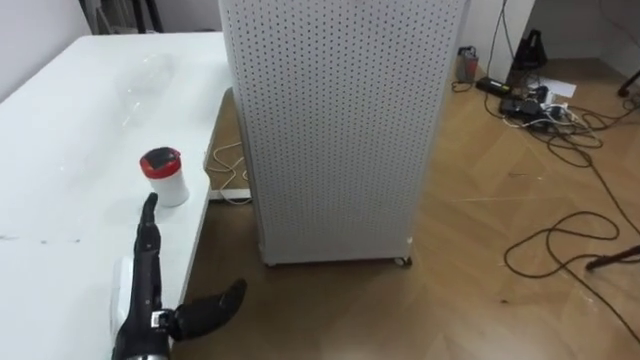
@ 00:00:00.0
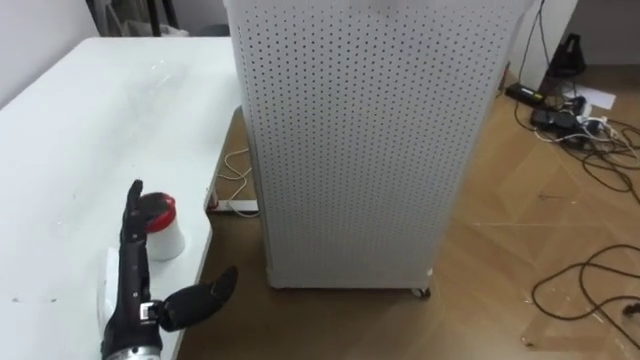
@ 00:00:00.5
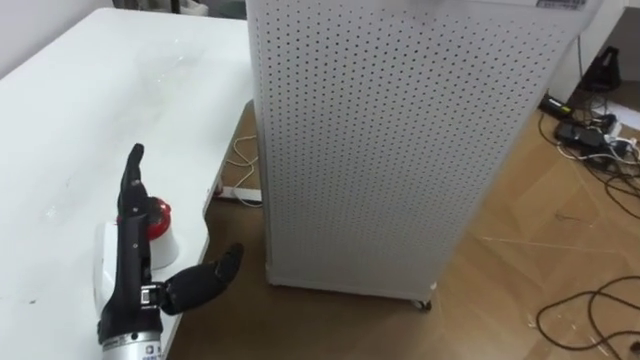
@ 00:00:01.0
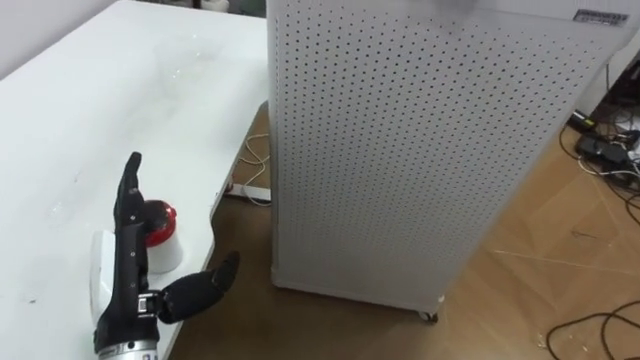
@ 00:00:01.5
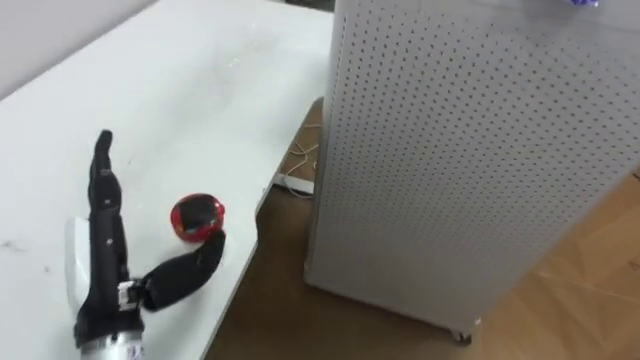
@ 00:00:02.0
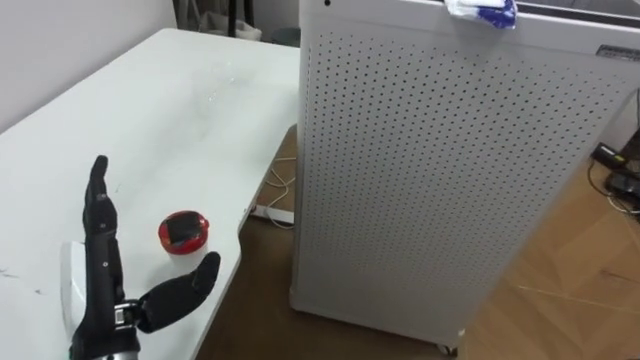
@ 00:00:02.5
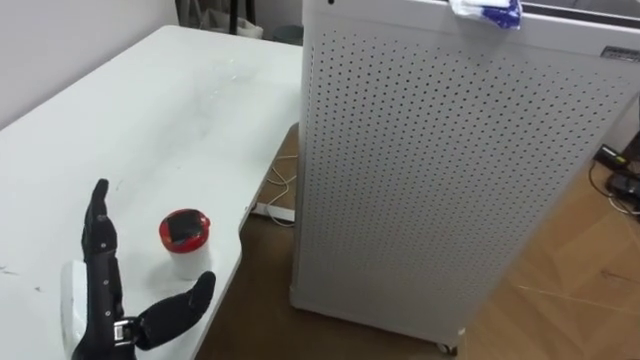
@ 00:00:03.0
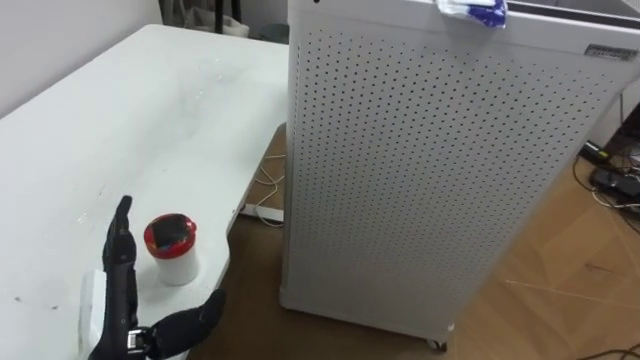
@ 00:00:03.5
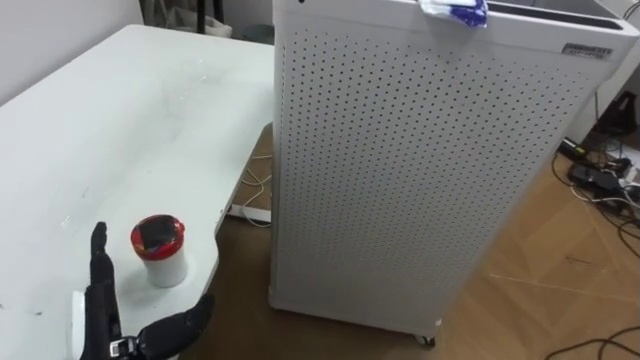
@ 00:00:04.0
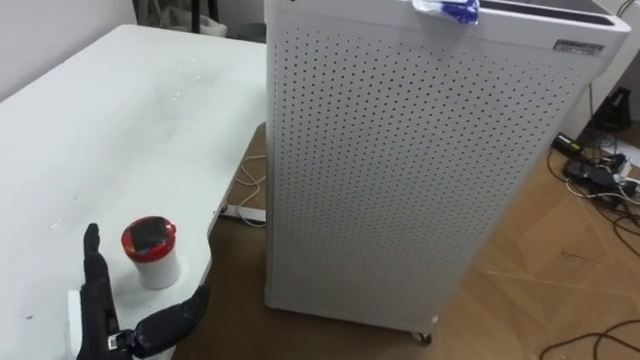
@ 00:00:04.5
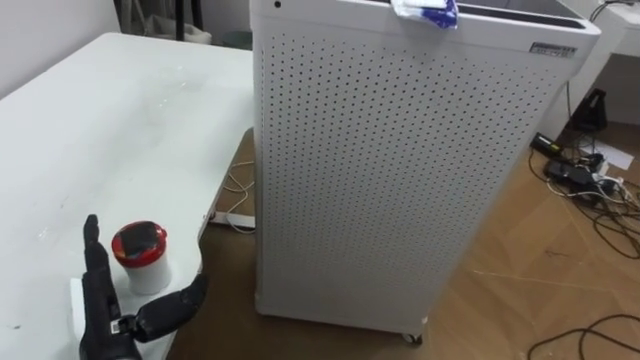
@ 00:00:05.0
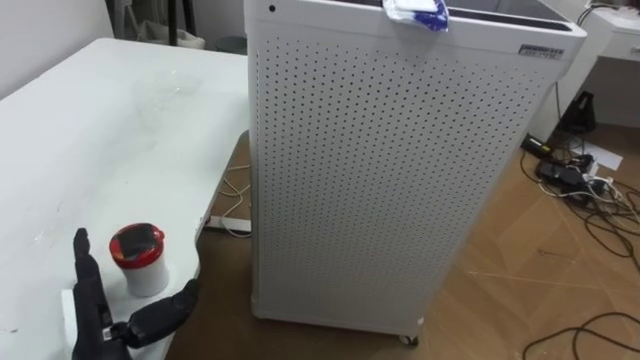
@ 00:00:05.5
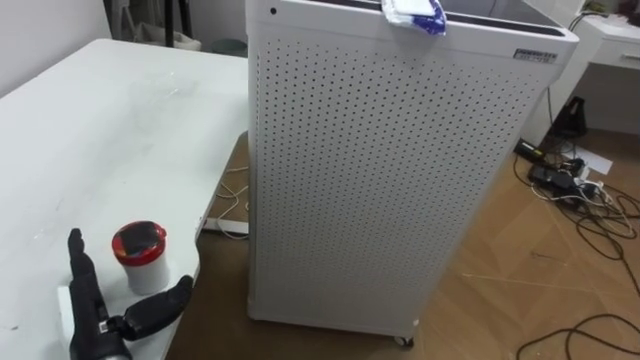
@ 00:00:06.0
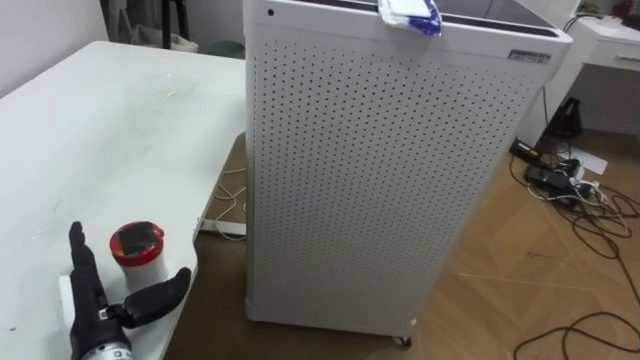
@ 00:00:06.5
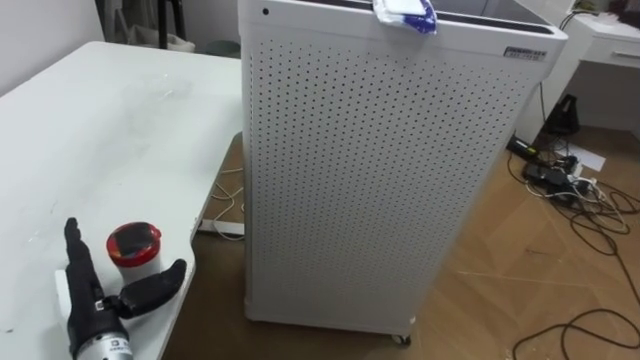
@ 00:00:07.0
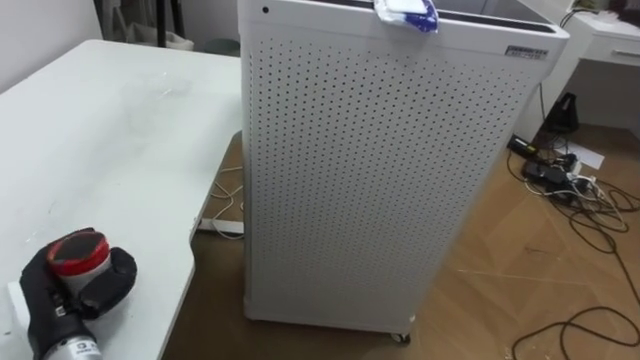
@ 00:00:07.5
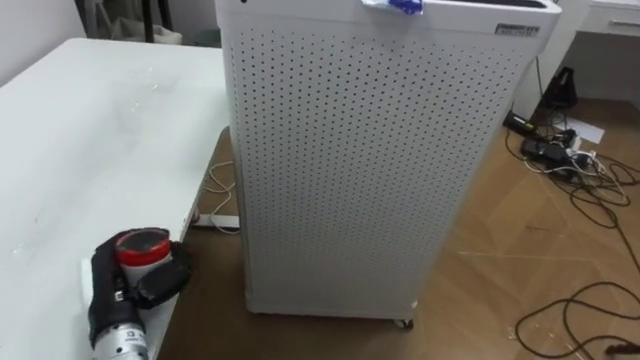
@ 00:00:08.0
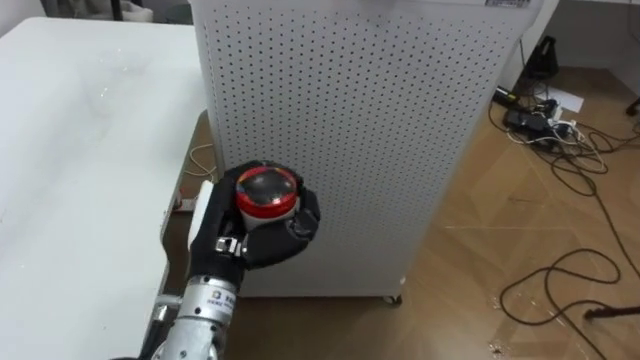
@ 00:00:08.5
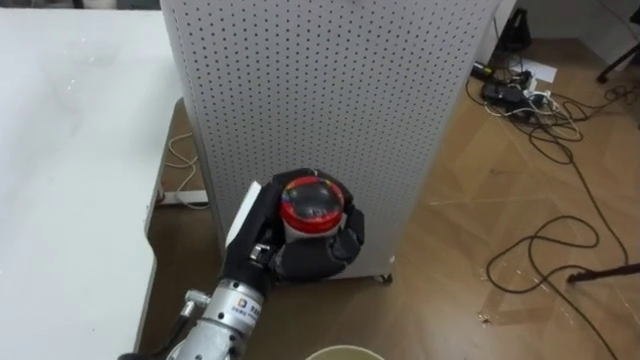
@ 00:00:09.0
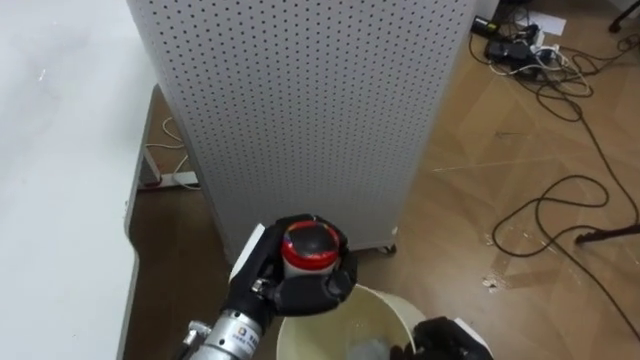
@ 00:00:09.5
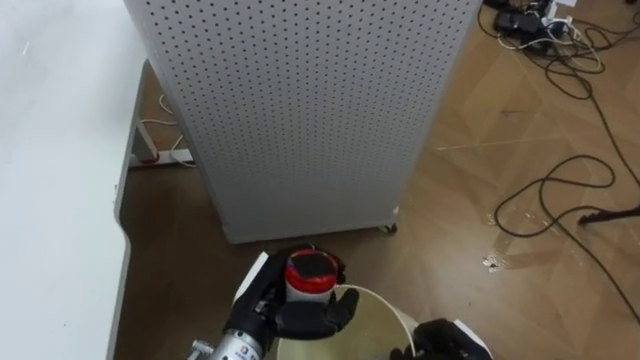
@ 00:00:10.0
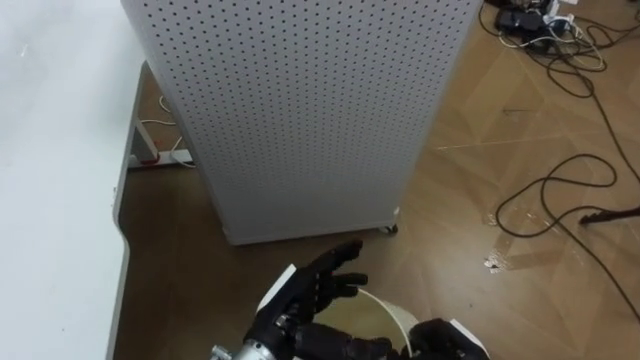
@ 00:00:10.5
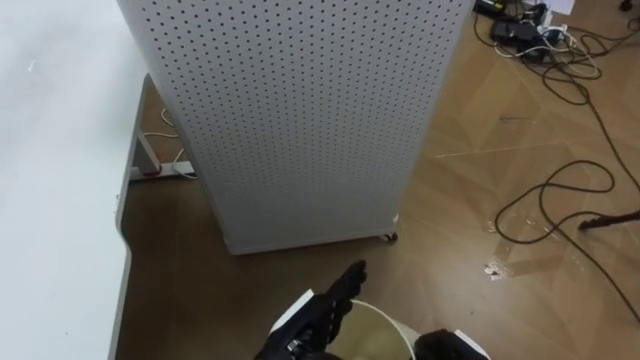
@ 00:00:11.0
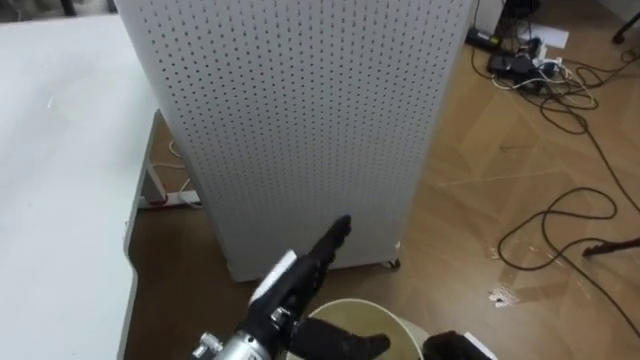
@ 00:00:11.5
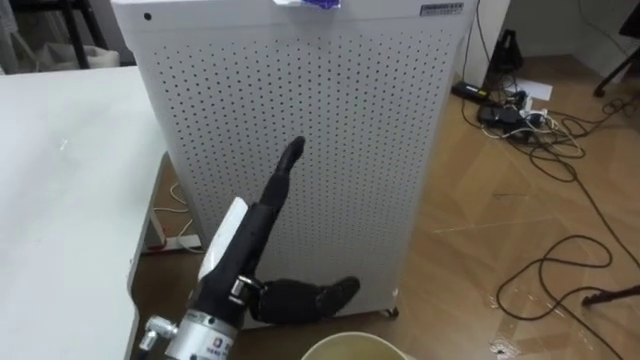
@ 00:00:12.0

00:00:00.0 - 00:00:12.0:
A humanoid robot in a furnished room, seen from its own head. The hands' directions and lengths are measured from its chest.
Task of the whole recording: Pick up the light blue package, the candy box, and the dark blue package separately, and put them into the trash can held in your right hand.
00:00:00.0 - 00:00:02.0: The left hand heads upward, covering some 10 cm.
00:00:02.0 - 00:00:04.0: The left hand heads downward, covering about 10 cm.
00:00:06.0 - 00:00:08.0: The left hand closes.
00:00:08.0 - 00:00:10.0: The left hand shifts about 20 cm to the right.
00:00:10.0 - 00:00:12.0: The left hand goes roughly 10 cm upward, and opens its fingers.

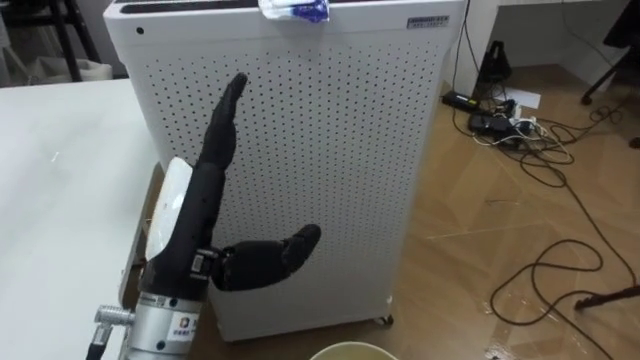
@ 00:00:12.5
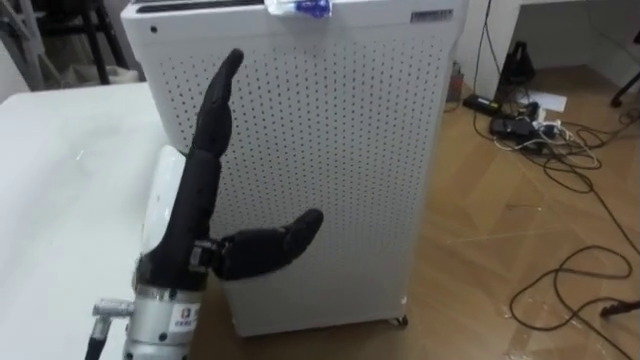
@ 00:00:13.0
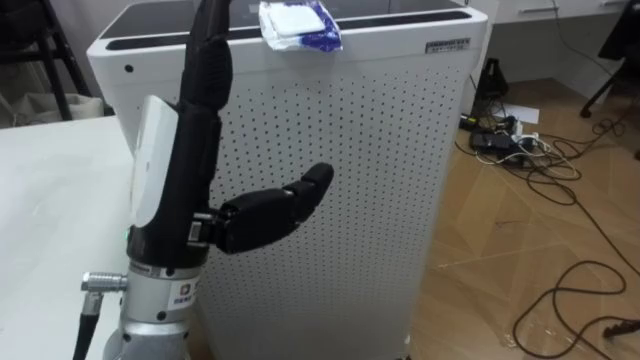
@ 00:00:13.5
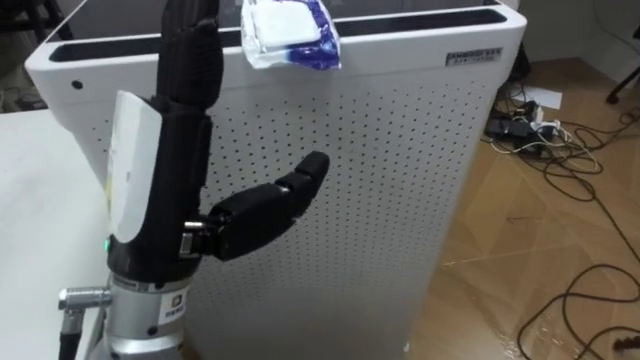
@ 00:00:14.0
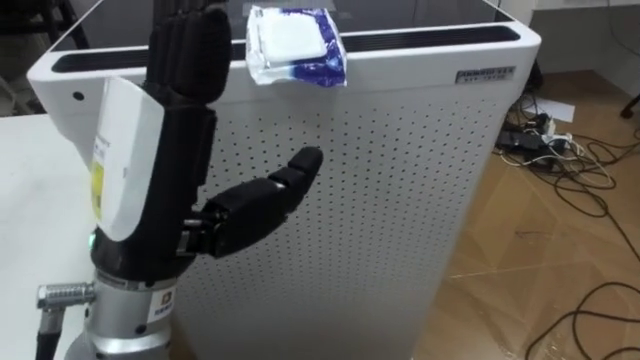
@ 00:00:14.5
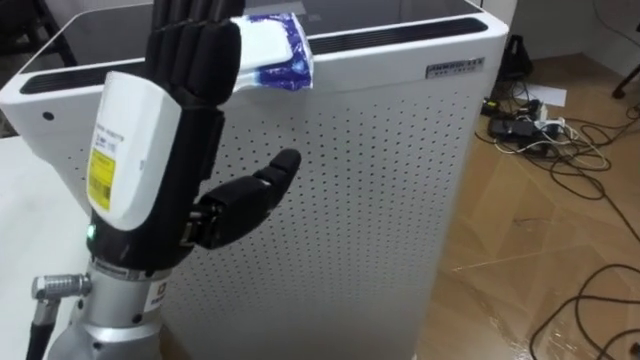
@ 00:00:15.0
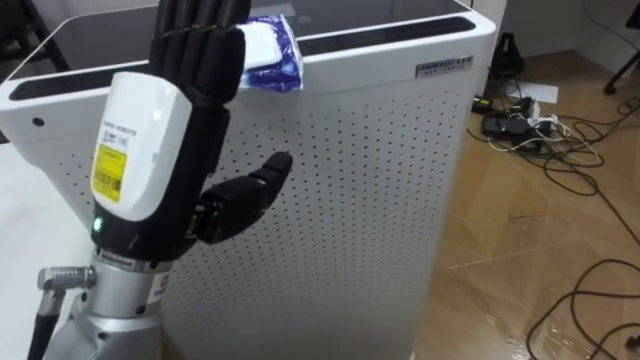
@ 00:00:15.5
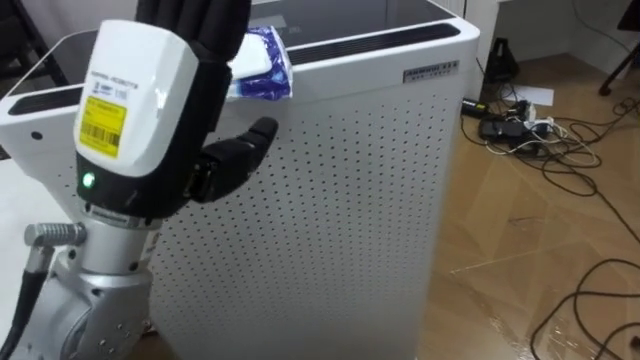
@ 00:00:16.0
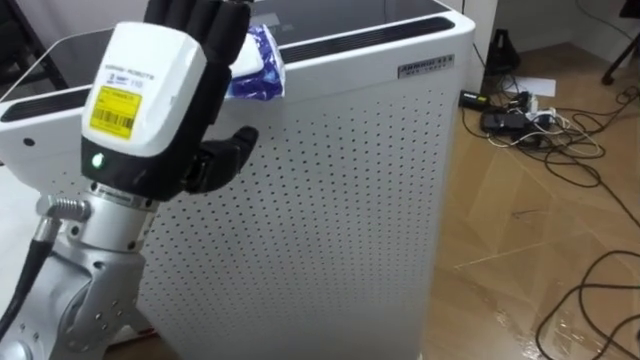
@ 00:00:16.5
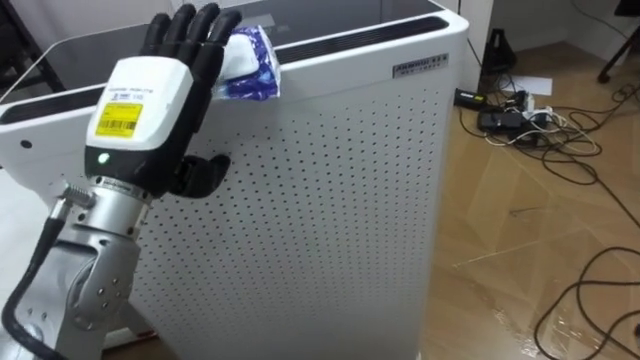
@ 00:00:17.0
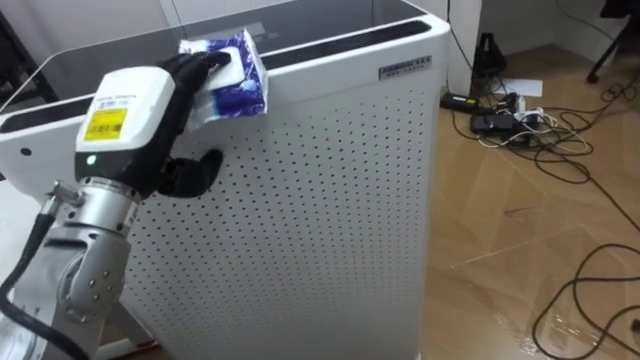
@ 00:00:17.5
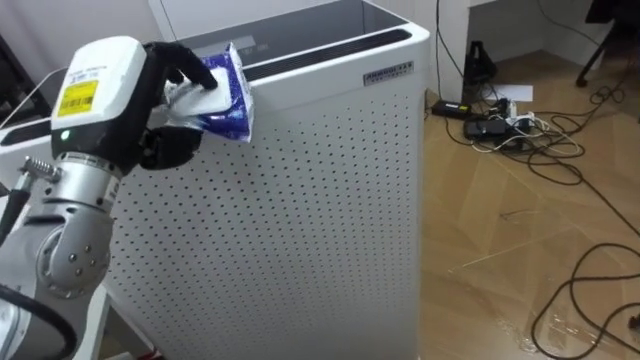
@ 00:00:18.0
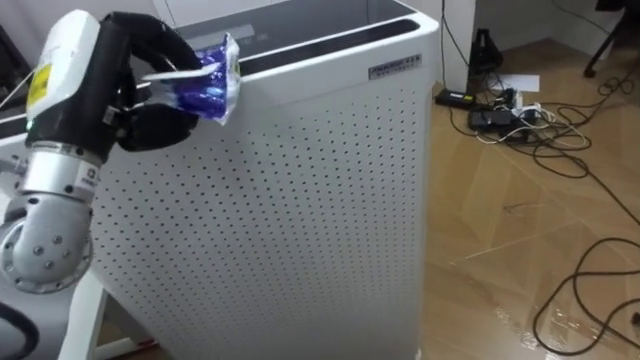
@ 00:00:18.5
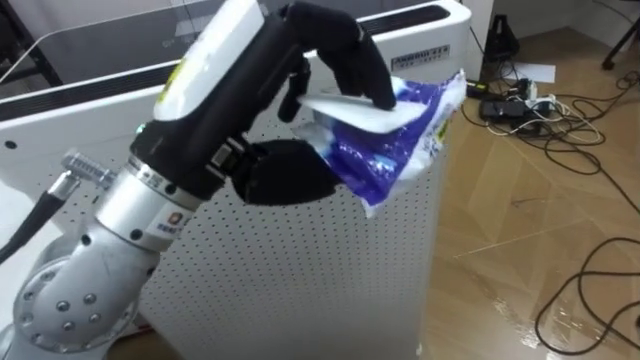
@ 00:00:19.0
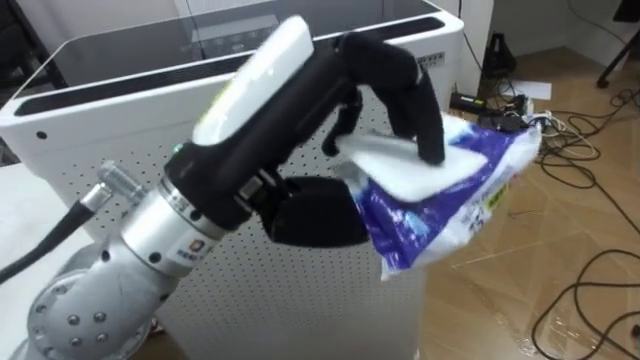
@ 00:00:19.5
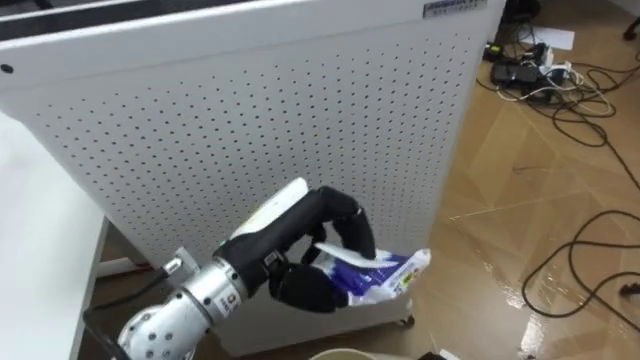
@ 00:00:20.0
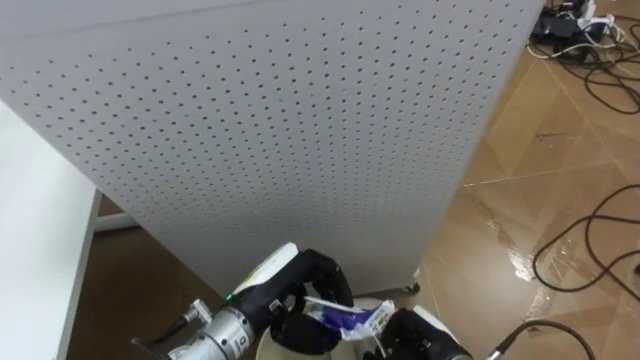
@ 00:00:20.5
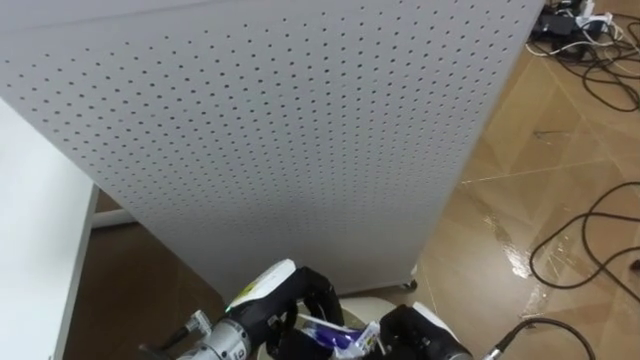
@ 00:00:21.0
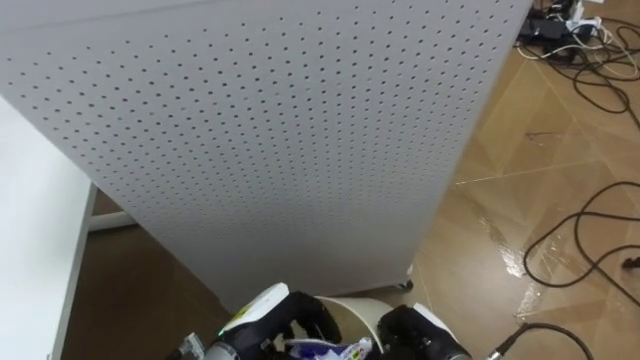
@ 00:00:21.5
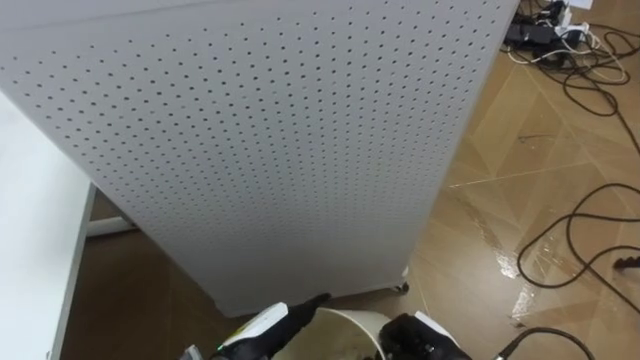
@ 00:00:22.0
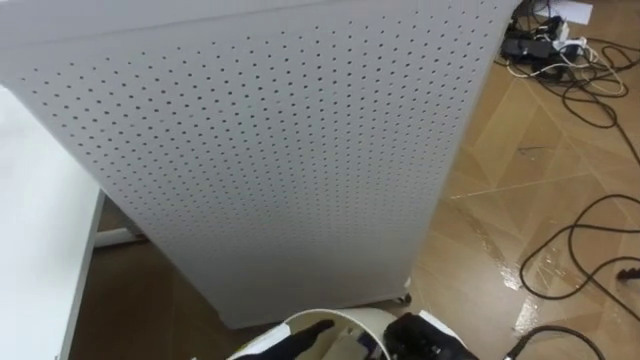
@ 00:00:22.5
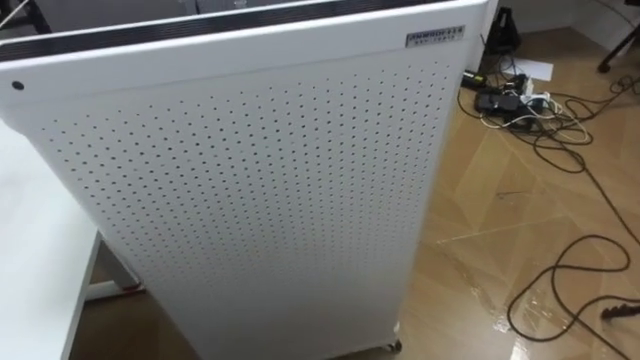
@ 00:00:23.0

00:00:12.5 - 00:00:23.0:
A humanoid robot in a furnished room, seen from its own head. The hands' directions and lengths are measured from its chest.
Task of the whole recording: Pick up the light blue package, the candy box, and the dark blue package separately, and put them into the trash can held in your right hand.
00:00:12.5 - 00:00:14.5: The left hand heads upward, covering roughly 10 cm.
00:00:14.5 - 00:00:16.5: The left hand is displaced forward by about 5 cm.
00:00:16.5 - 00:00:19.0: The left hand moves to the right, approximately 5 cm, and closes up.
00:00:19.0 - 00:00:21.0: The left hand goes approximately 30 cm downward.
